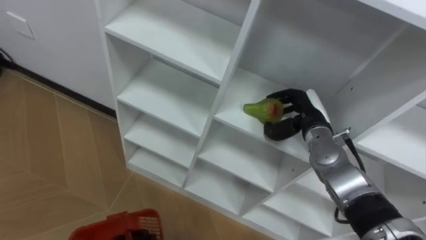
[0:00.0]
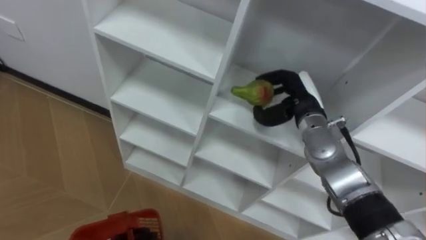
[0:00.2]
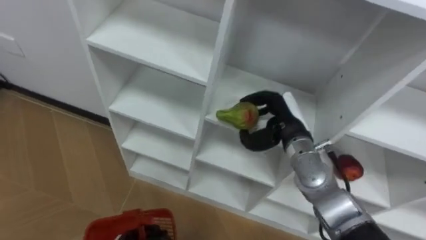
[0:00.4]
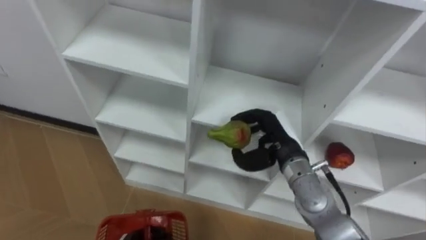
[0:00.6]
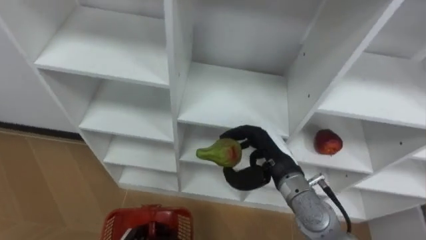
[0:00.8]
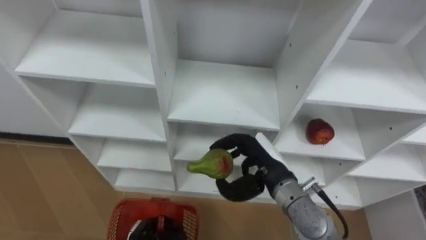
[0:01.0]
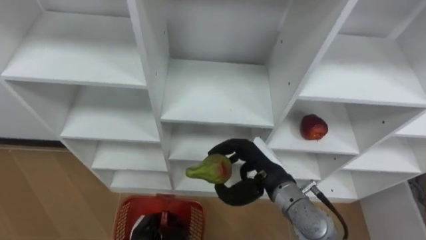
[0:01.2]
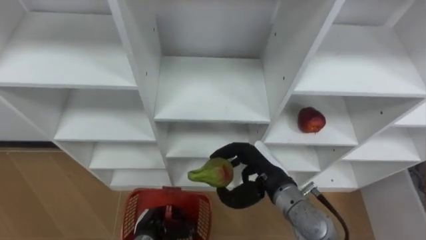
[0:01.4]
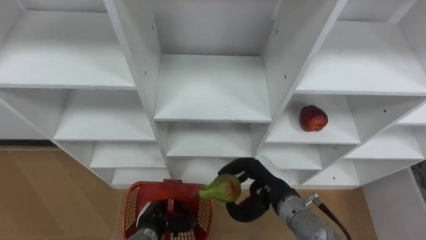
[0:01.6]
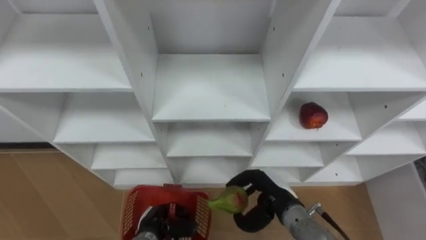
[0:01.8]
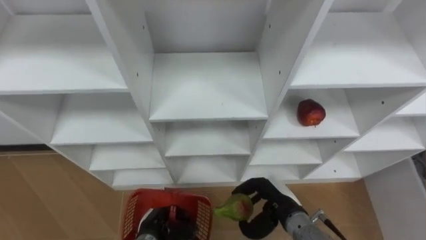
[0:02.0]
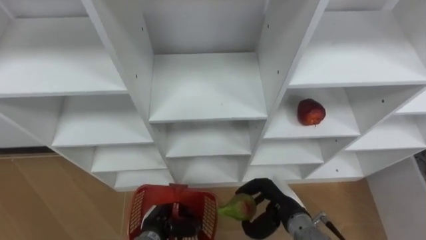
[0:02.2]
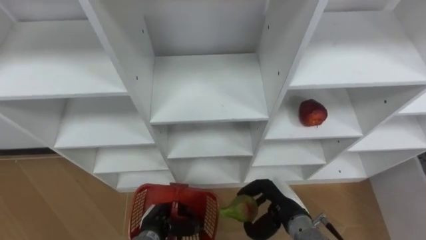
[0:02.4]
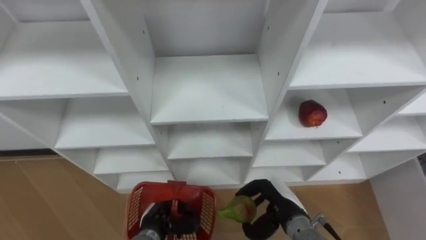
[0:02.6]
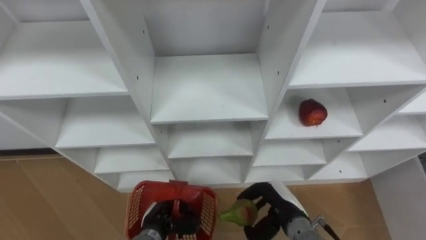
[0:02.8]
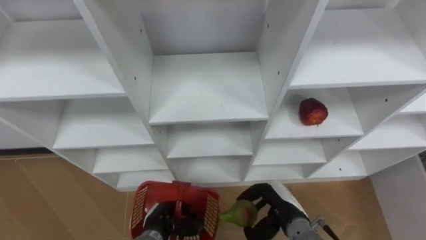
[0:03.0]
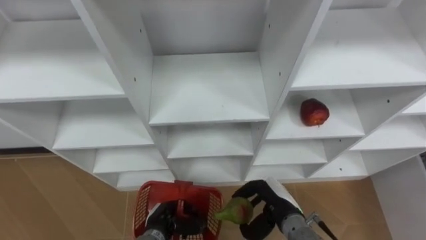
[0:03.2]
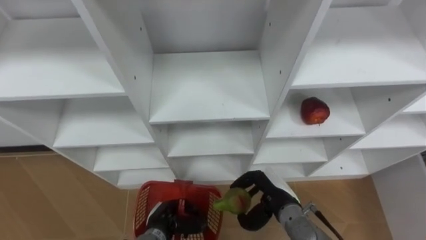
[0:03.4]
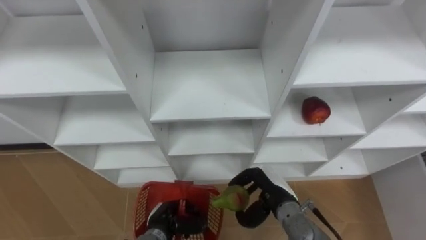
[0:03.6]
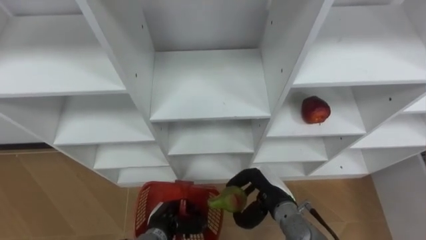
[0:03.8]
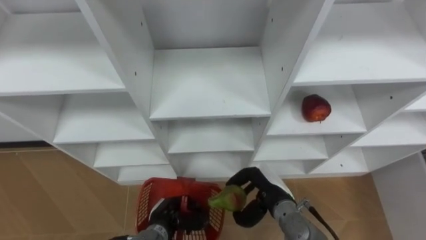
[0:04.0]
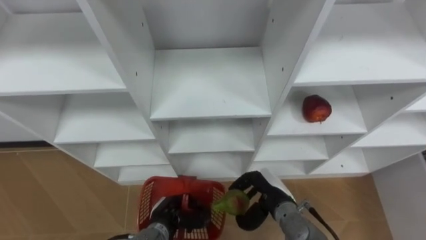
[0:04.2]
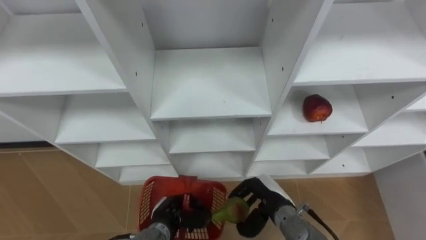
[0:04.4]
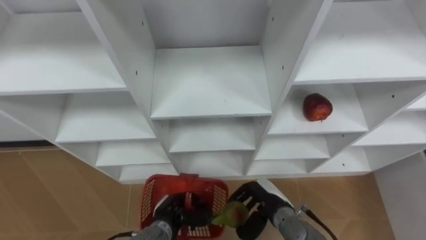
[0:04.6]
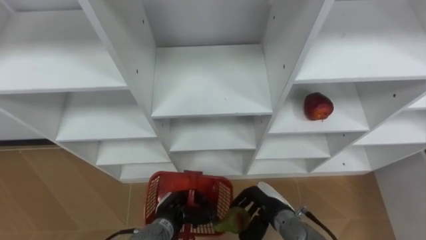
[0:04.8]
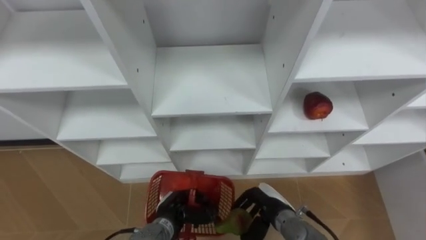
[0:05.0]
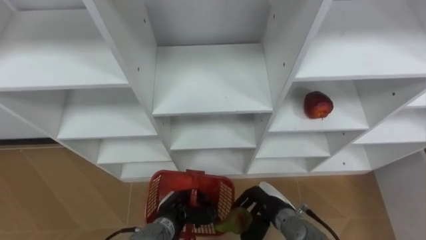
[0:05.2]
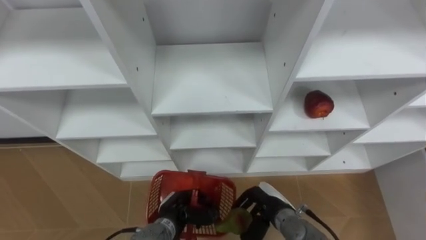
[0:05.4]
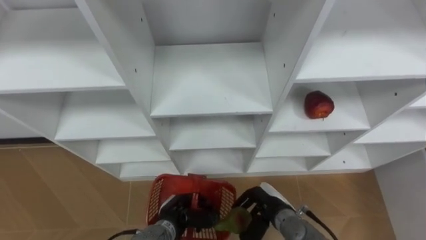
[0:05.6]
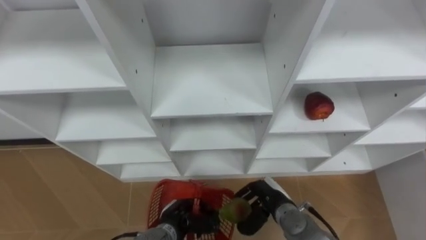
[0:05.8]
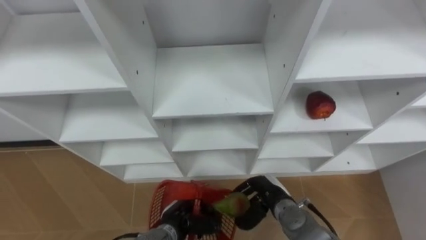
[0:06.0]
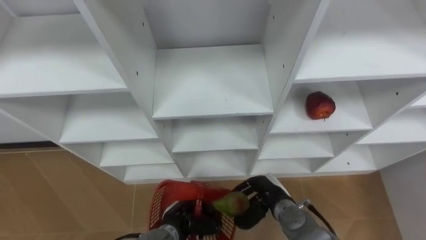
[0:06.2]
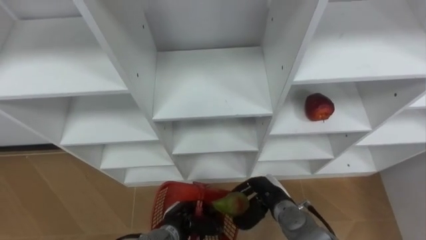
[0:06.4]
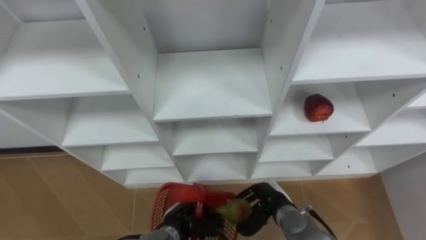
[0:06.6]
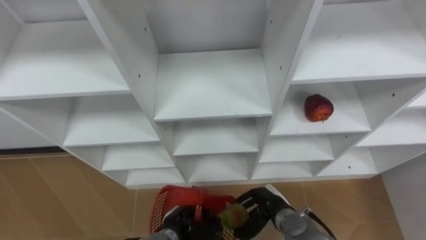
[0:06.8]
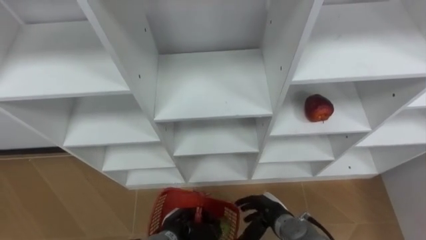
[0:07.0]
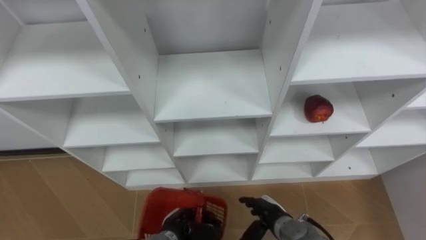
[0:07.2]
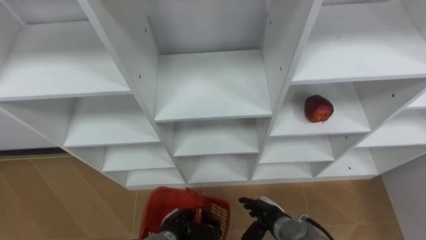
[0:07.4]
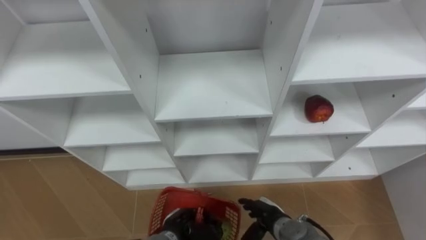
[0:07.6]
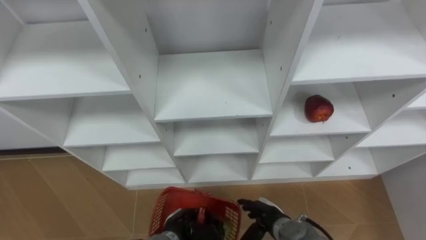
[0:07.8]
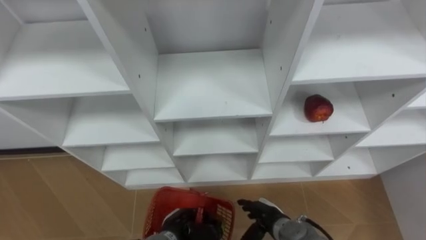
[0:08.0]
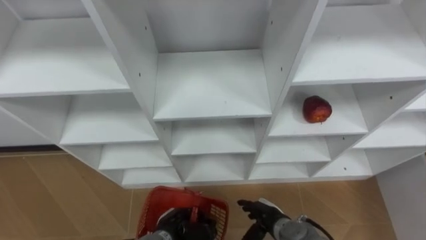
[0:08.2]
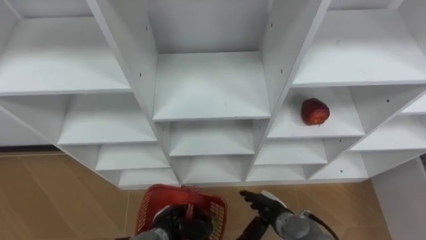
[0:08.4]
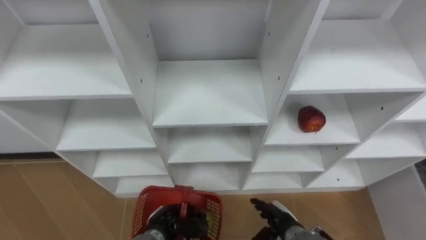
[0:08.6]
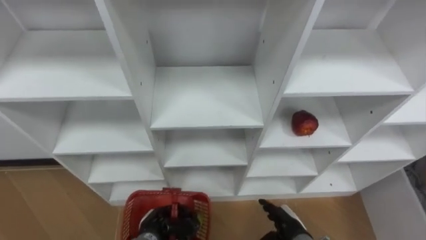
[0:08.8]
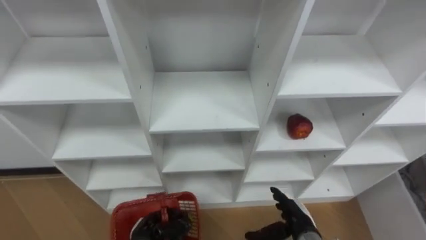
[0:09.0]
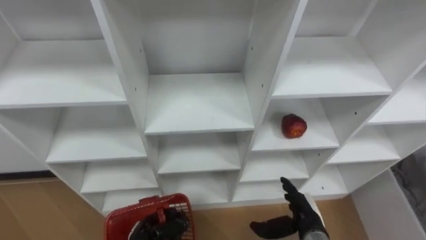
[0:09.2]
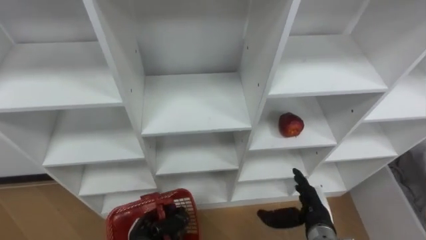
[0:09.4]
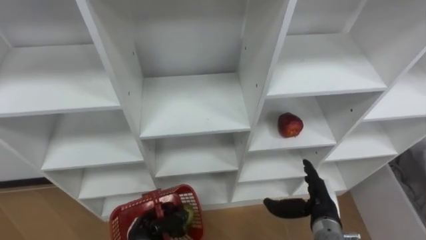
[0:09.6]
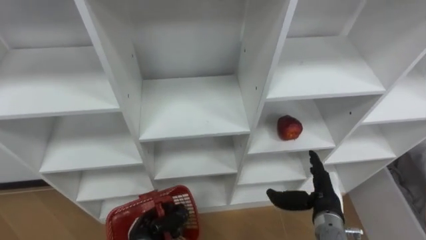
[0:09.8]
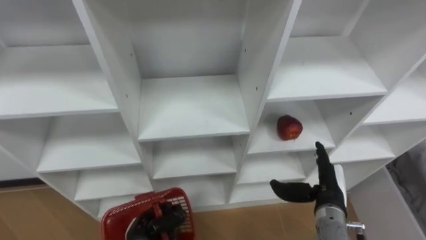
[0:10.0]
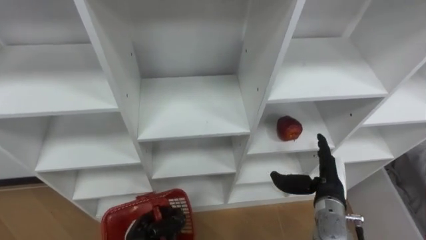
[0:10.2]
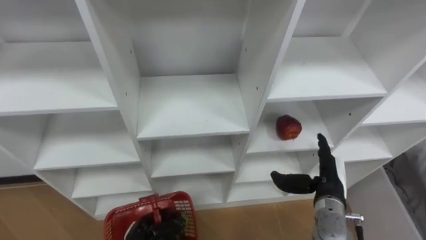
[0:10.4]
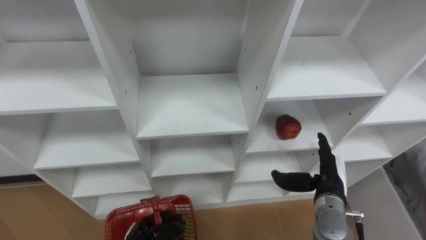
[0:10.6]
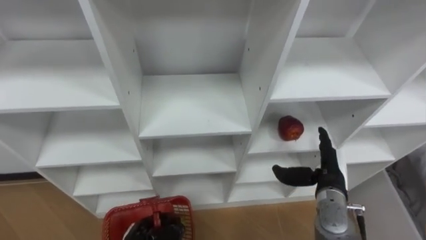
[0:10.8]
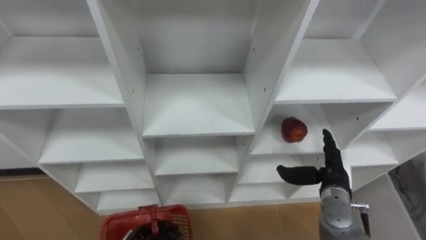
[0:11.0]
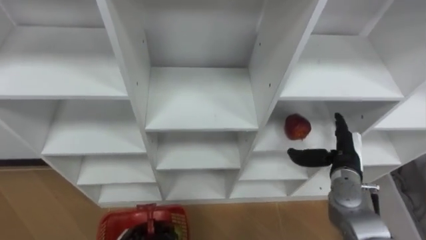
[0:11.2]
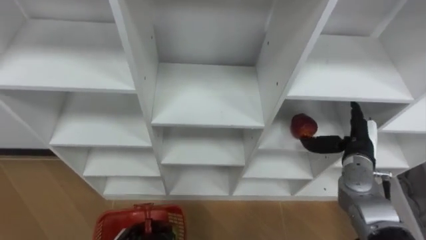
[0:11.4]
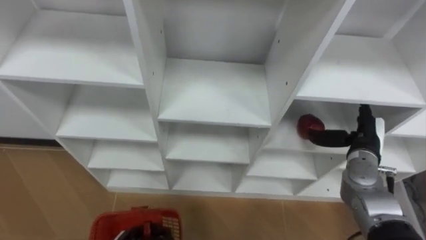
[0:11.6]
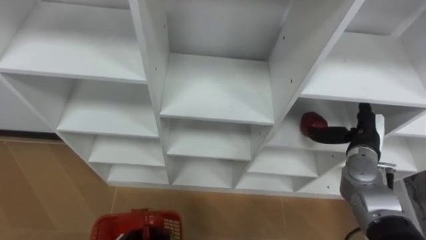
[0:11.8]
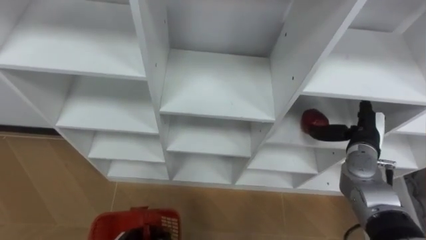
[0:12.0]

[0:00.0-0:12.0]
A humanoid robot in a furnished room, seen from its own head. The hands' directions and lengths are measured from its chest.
Task of the whole recording: Hold the basket and collect the fruits from 3 different cells of the closet into it.
0:00.0 to 0:01.6: The right hand heads backward and to the left, covering about 15 cm.
0:01.6 to 0:03.0: The right hand shifts some 5 cm downward.
0:03.0 to 0:04.4: The hands stay close to where they were, moving slightly.
0:06.0 to 0:07.6: The right hand changes place by some 5 cm, and opens up.
0:07.6 to 0:09.0: The left hand travels to the left by approximately 5 cm, while the right hand goes about 5 cm to the right.
0:09.0 to 0:10.4: The right hand shifts approximately 10 cm upward, to the right and forward.
0:10.4 to 0:12.0: The right hand heads forward and to the right, covering about 10 cm.

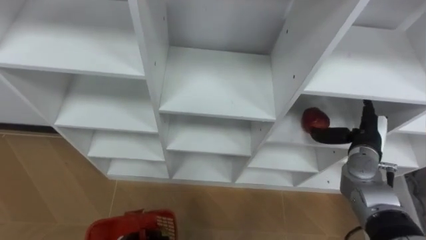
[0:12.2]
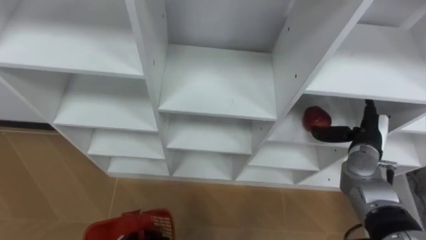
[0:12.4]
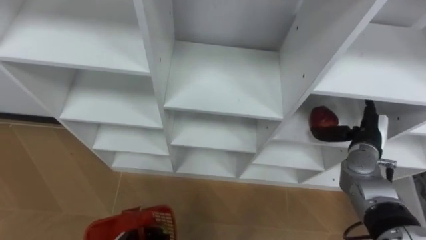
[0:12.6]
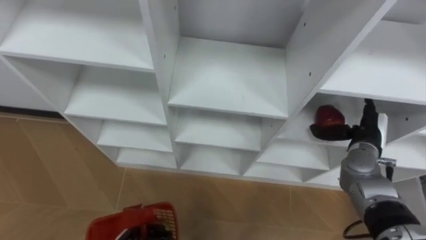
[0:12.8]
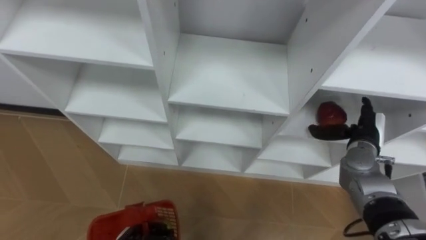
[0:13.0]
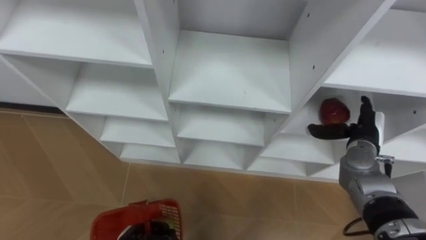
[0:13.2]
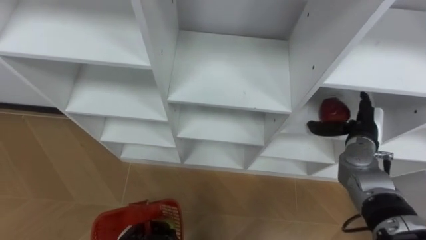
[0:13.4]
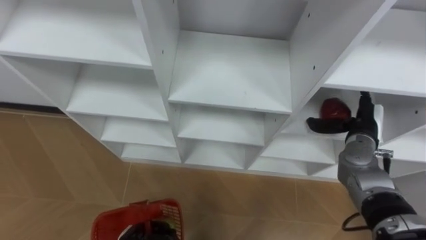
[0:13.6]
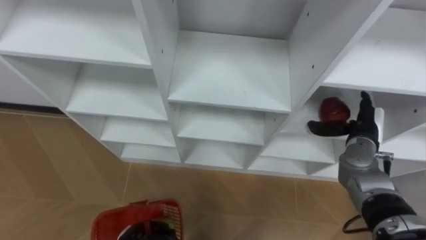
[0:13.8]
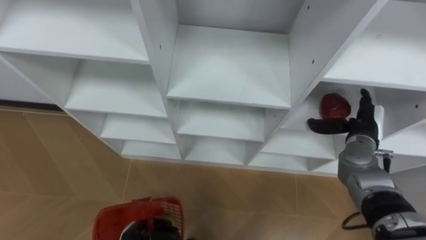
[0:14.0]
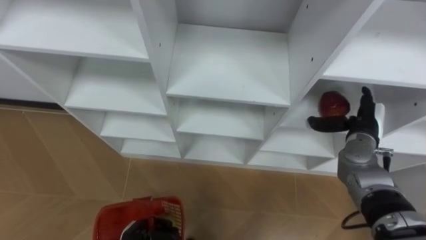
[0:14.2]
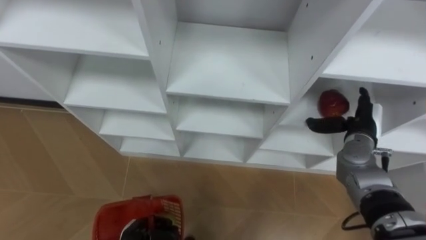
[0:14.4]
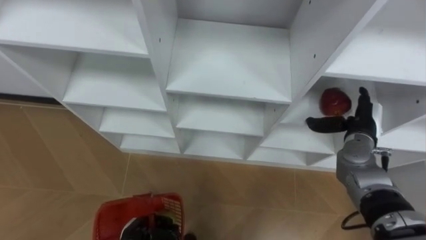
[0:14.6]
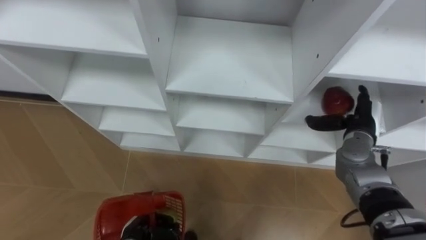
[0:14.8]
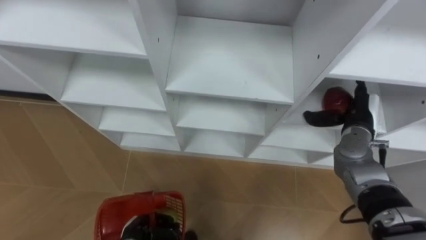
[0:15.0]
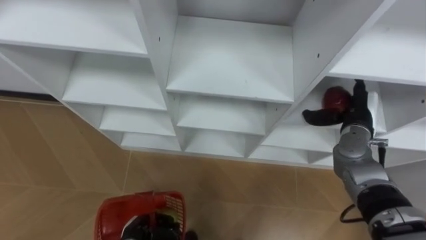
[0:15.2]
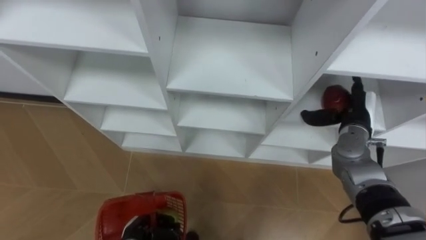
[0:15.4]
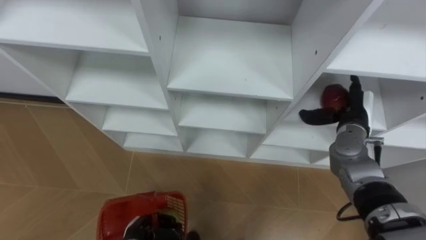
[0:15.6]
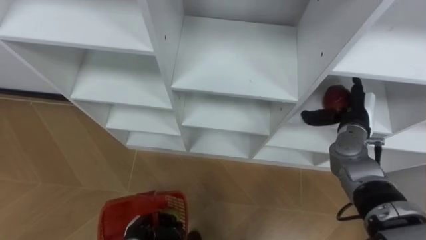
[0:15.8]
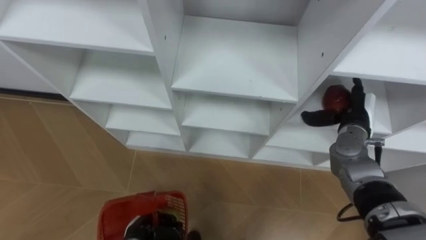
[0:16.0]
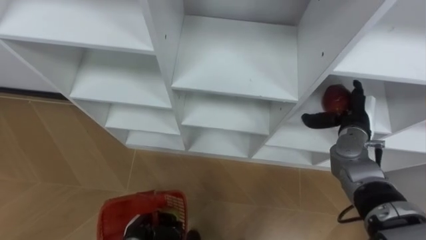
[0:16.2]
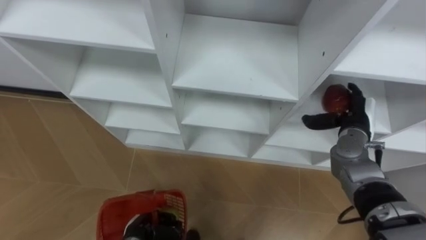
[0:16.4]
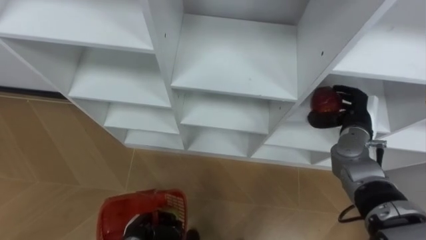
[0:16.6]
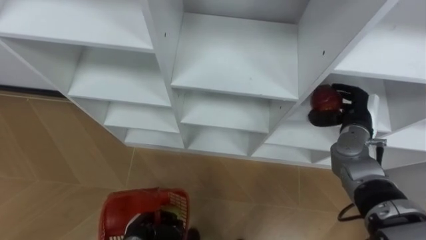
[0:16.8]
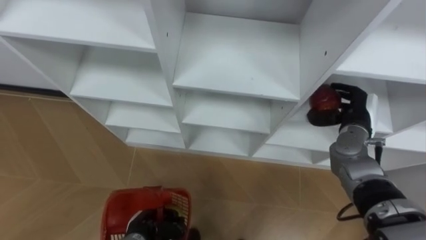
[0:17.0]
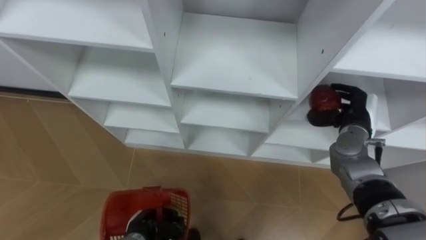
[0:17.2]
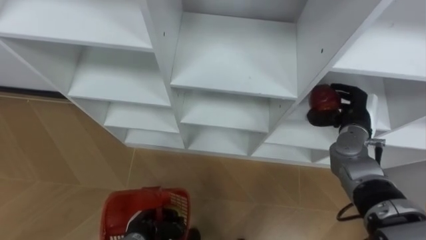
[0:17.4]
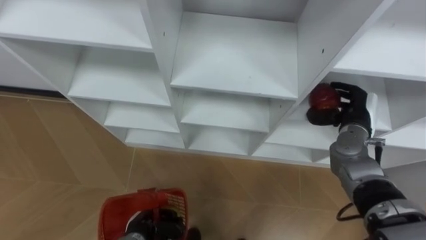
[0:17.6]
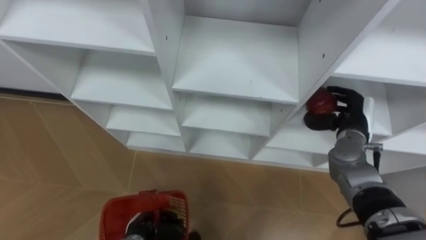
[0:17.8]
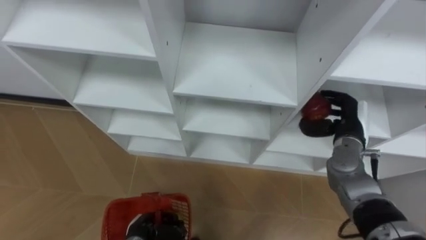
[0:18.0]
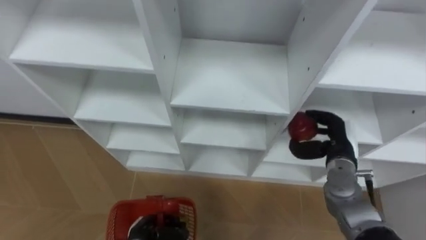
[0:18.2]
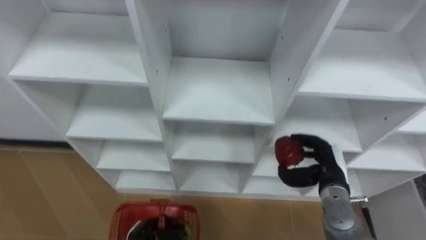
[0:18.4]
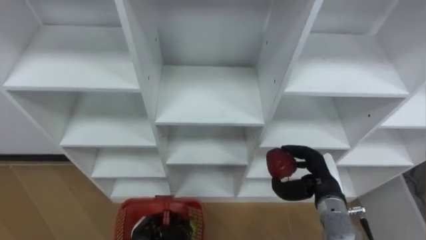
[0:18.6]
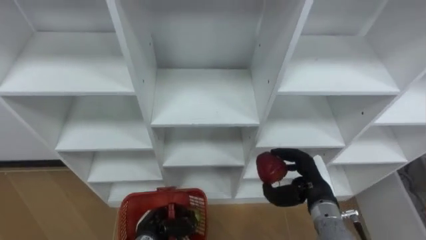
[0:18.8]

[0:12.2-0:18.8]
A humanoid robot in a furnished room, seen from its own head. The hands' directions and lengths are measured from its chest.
Task of the whole recording: Hold the basket and collect the fruits from 3 different cells of the closet into it.
0:15.4 to 0:17.2: The right hand closes up.
0:17.2 to 0:18.8: The right hand moves backward, to the left and downward, about 15 cm.
